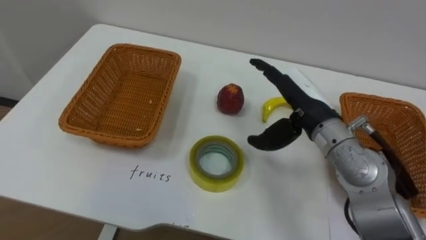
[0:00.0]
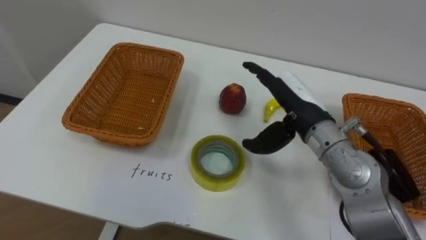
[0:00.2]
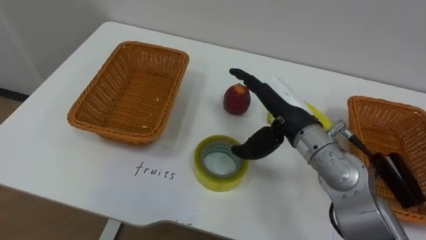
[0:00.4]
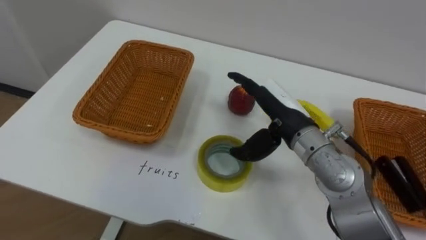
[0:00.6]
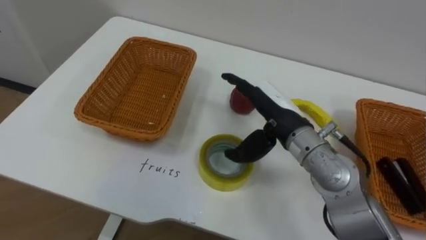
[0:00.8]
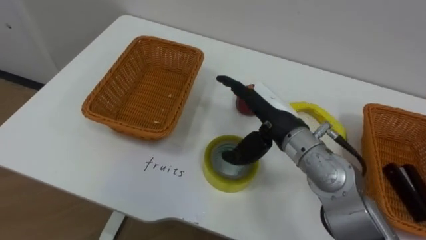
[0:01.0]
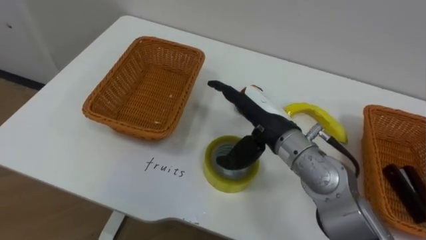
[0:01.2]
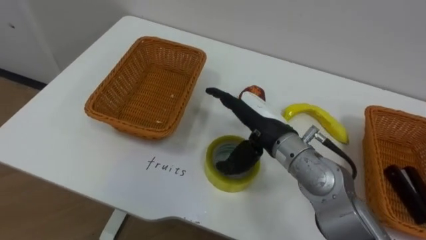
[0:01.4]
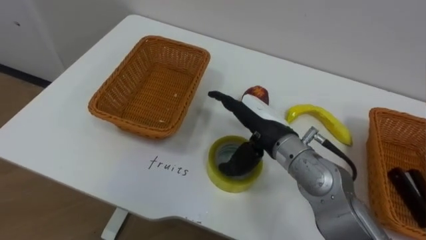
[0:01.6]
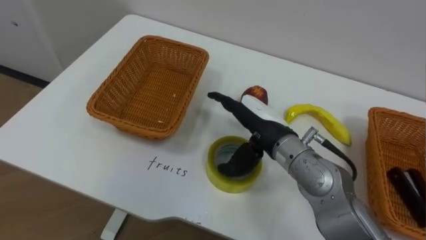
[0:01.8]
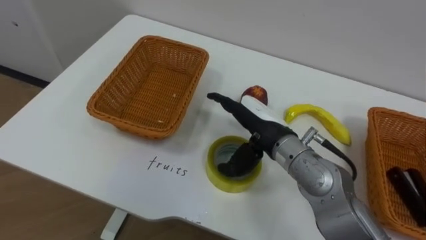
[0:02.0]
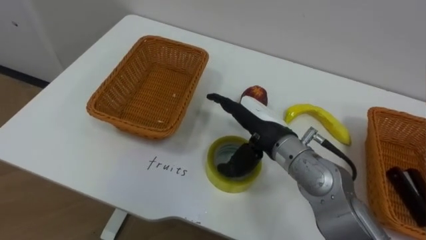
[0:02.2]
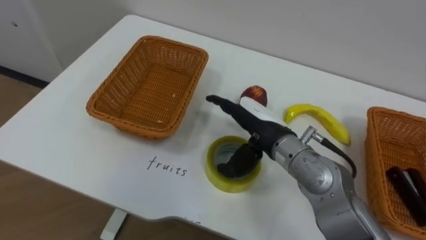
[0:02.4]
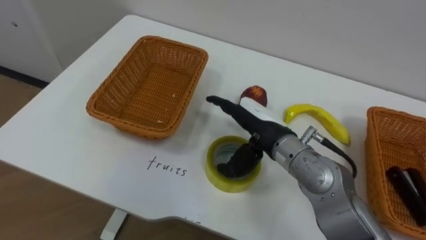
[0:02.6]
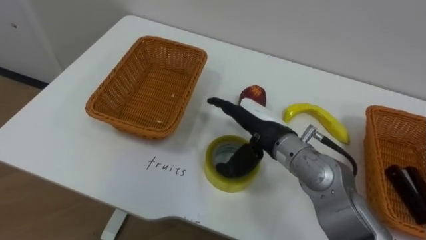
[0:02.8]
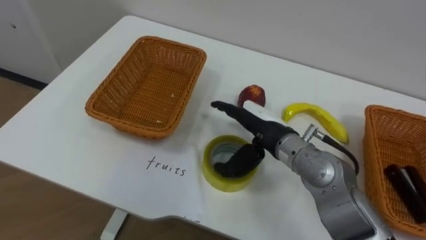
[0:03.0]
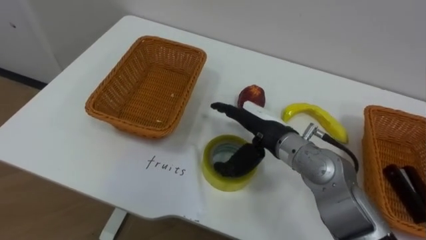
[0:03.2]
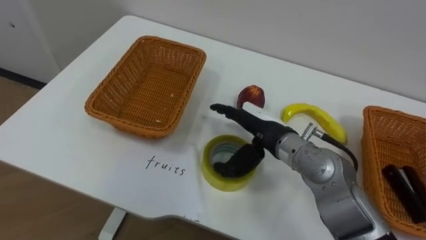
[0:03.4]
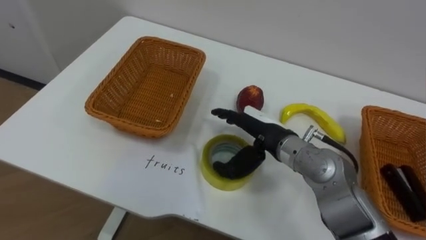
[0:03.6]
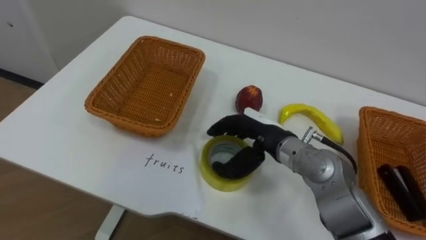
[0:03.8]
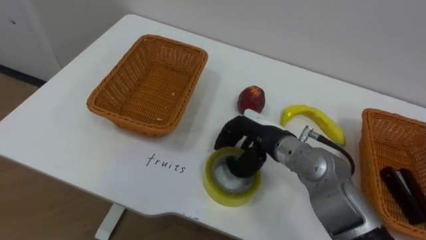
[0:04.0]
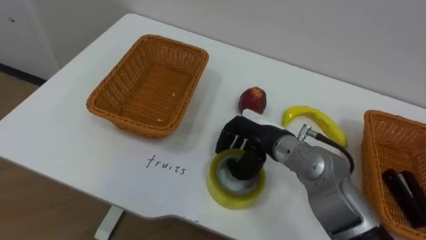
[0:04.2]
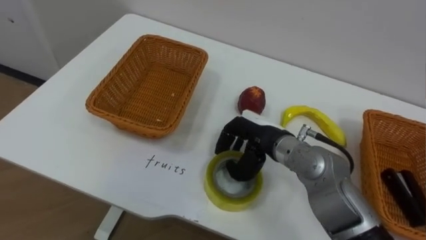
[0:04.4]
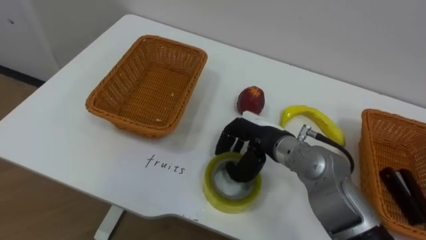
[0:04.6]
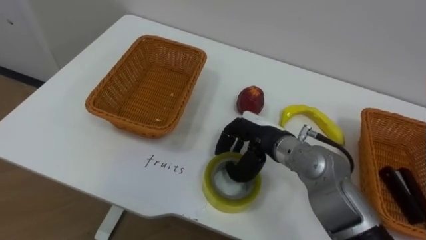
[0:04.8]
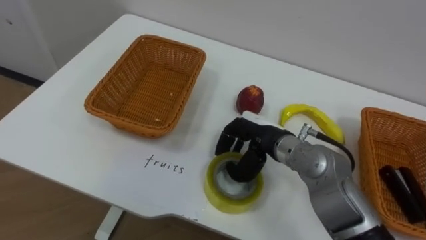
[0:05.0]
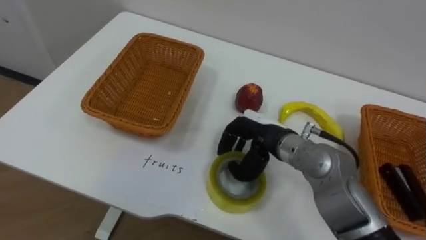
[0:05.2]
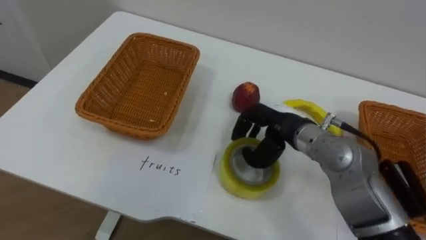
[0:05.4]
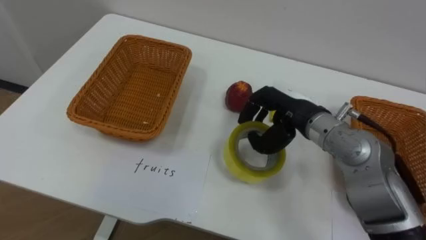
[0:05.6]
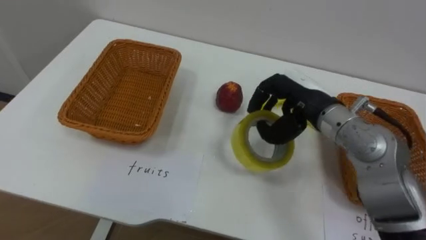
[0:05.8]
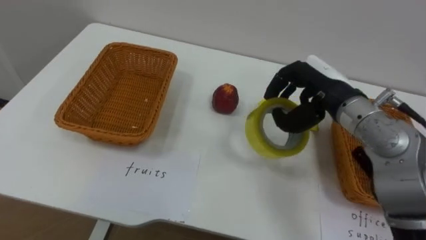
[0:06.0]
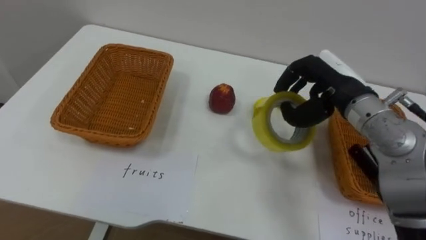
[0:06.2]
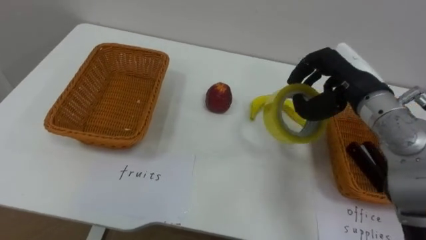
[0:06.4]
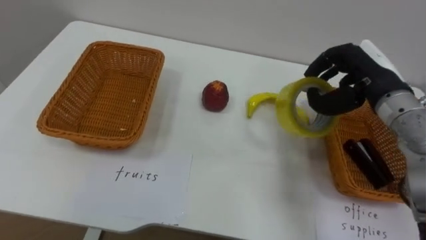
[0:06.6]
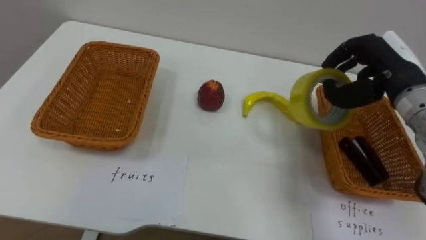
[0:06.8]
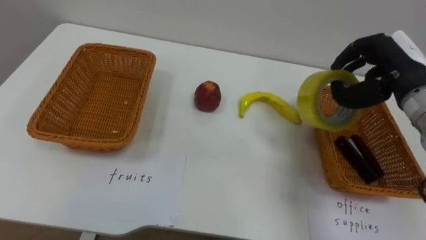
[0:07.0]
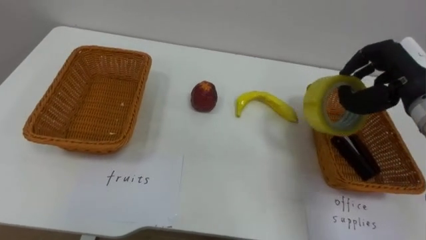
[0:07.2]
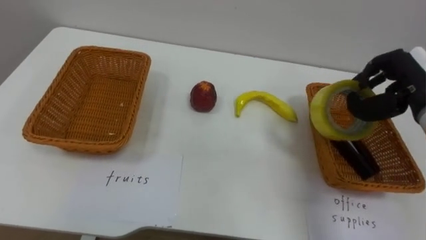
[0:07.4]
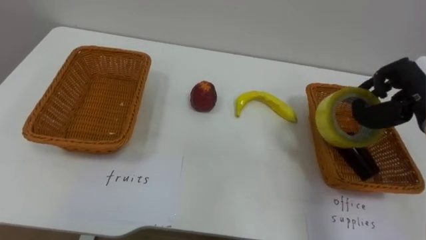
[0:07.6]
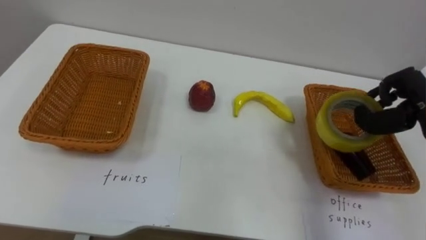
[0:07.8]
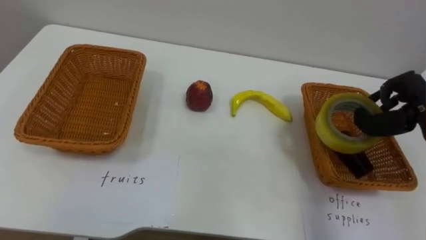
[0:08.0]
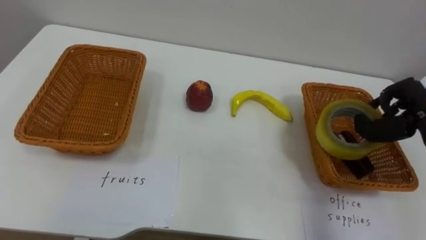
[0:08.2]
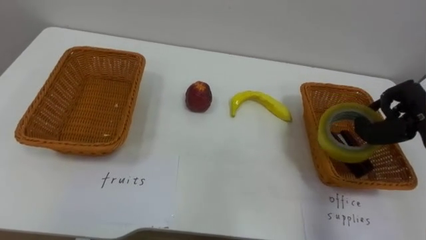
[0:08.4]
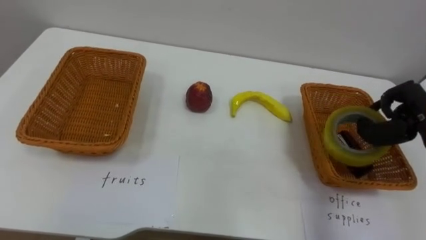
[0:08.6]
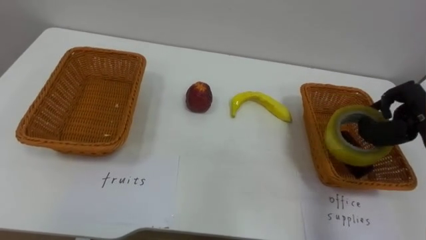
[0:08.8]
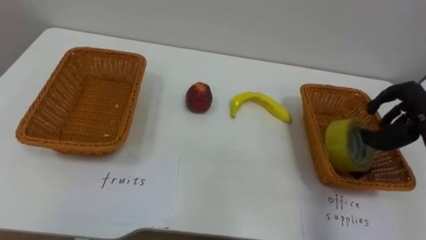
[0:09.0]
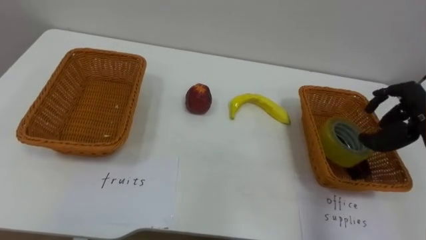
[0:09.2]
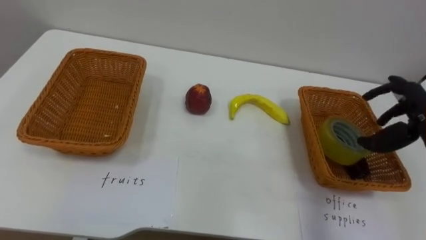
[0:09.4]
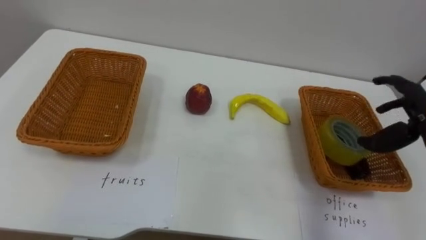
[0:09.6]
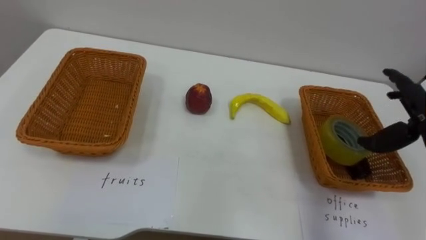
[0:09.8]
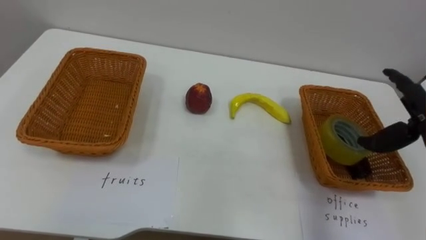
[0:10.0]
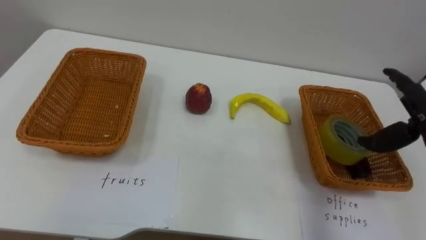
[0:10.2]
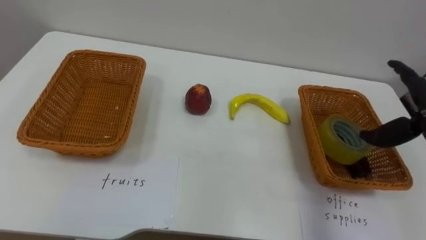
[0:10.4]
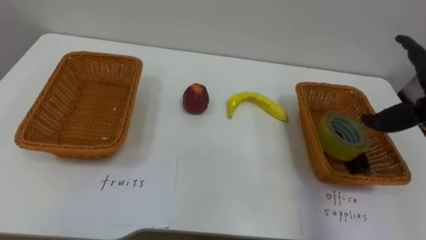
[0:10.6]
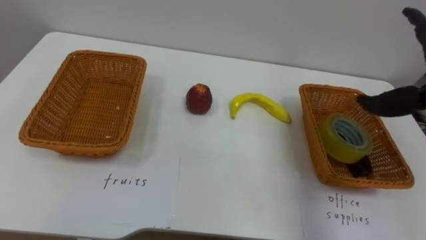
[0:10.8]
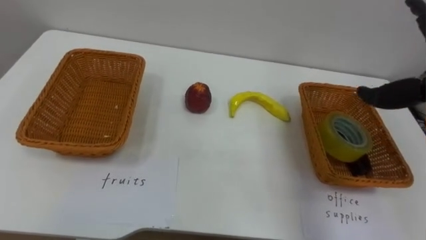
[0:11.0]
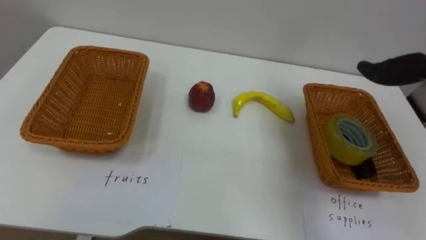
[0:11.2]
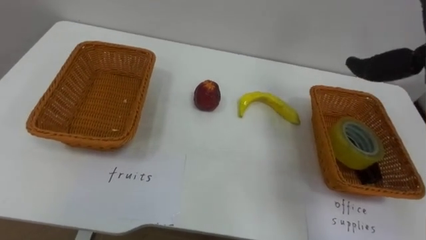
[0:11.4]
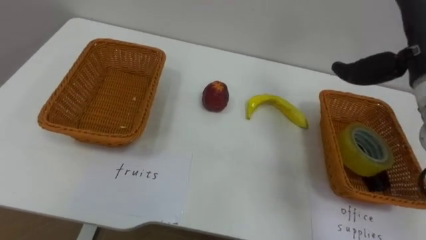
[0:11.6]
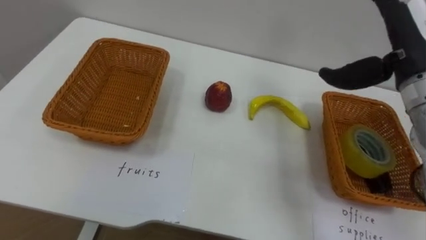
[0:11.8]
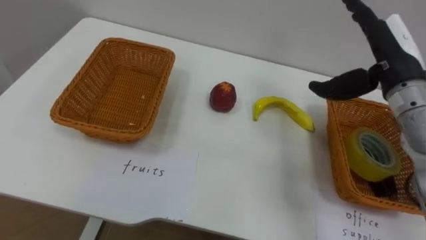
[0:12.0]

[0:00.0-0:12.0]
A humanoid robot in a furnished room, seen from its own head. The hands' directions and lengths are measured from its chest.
Task of the whole recording: Separate the items on the table and place them into the two baskets.
0:00.0 to 0:01.6: The right hand shifts about 5 cm to the left.
0:03.0 to 0:04.4: The right hand closes up.
0:04.4 to 0:06.0: The right hand travels to the right and upward by approximately 15 cm.
0:06.0 to 0:07.6: The right hand goes roughly 15 cm to the right.

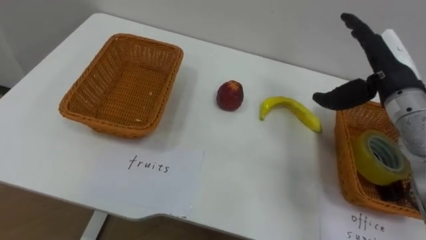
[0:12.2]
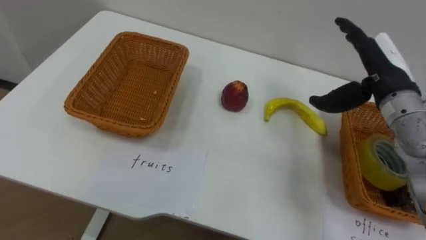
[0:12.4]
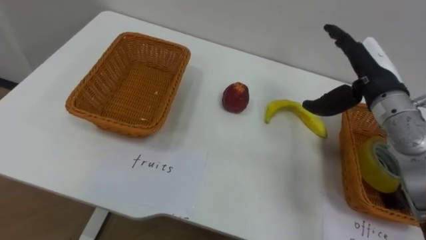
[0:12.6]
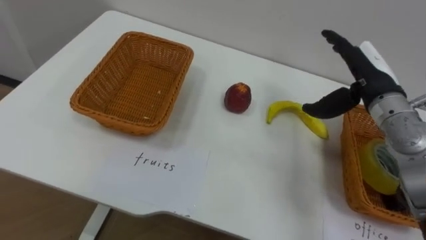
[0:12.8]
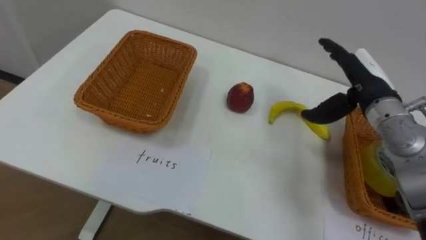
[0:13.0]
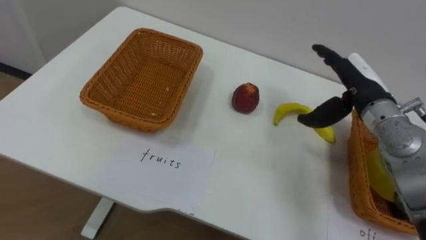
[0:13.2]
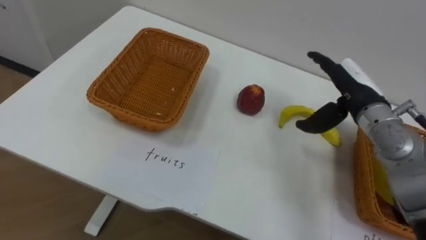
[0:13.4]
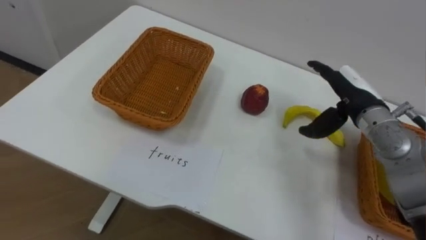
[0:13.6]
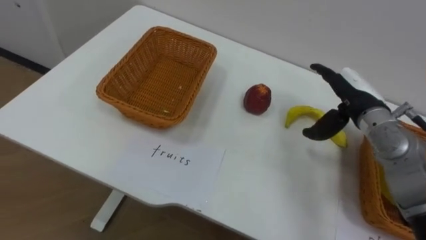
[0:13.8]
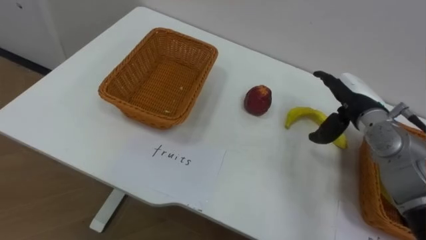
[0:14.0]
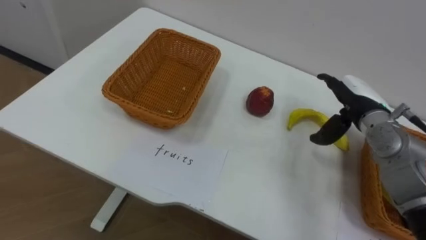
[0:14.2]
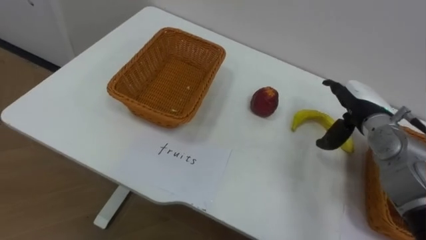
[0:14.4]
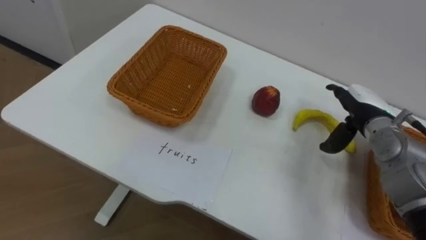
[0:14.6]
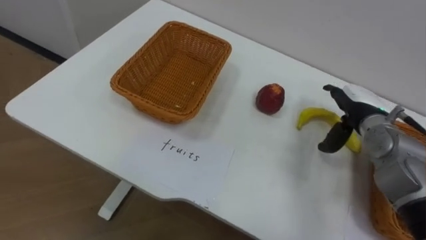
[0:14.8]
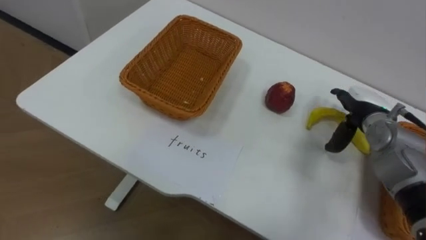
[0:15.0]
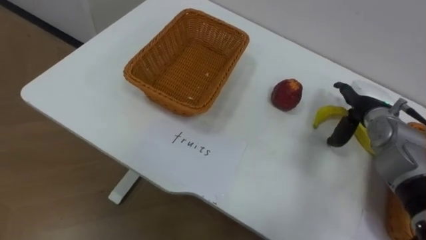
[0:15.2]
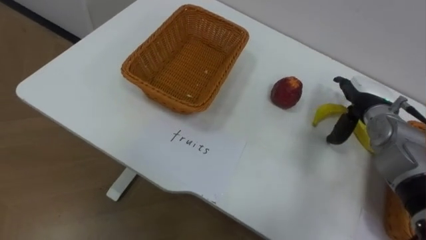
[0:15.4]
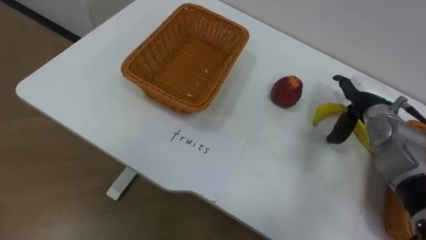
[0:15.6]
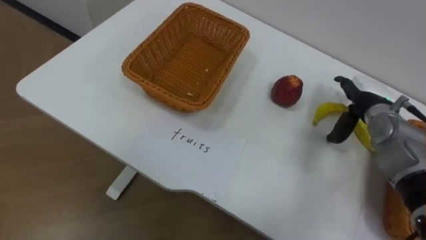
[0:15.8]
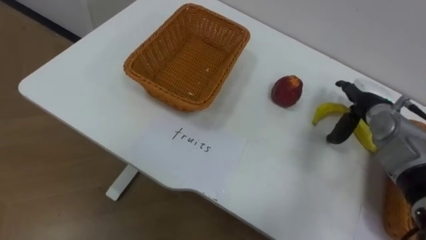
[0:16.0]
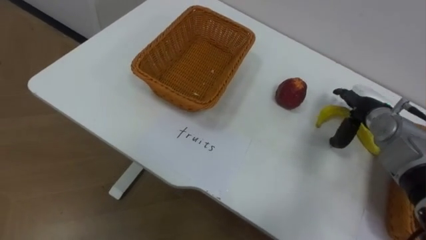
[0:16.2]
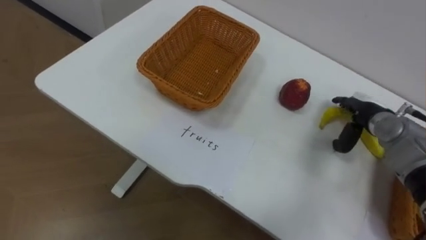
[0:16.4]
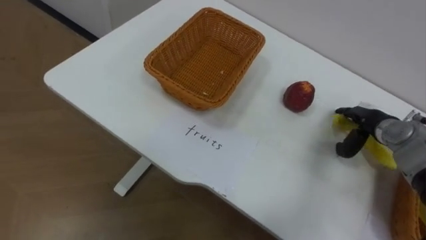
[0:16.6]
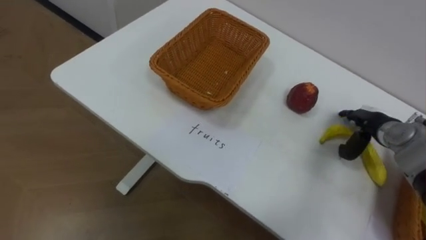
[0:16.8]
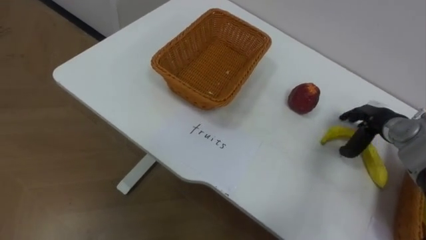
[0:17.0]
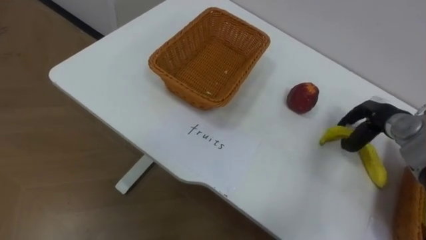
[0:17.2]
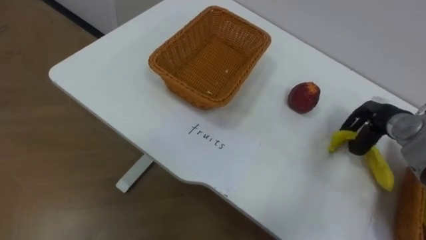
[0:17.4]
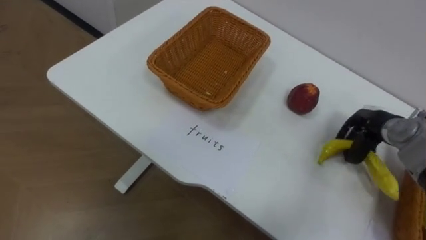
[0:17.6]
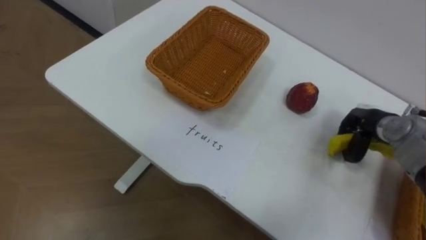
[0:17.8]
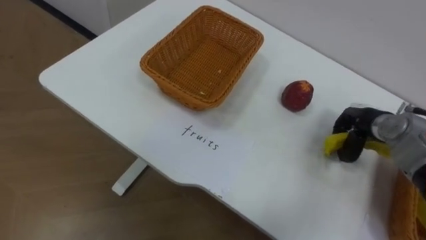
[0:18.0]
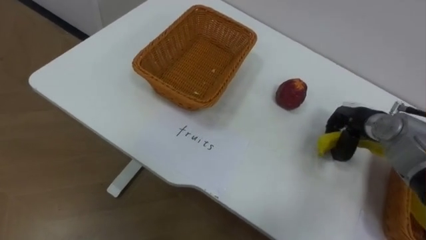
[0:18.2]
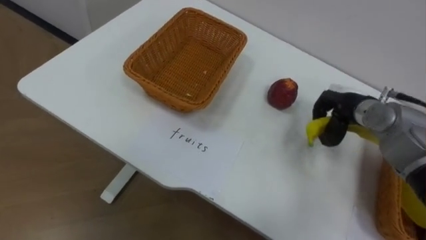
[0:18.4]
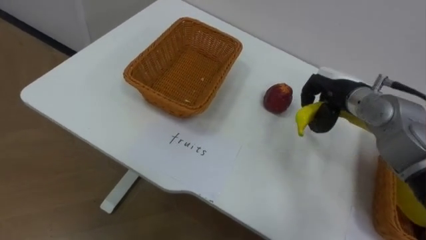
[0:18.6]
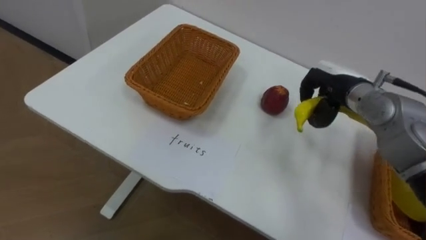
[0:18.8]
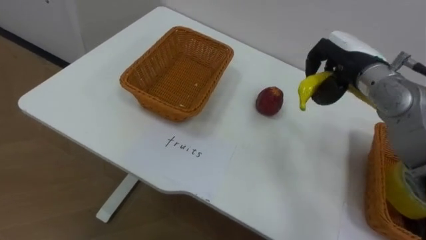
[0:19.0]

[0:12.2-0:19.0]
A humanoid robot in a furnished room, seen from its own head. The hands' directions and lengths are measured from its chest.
Task of the whole recording: Separate the items on the table and place them into the two baskets.
0:12.2 to 0:13.6: The right hand heads downward, covering about 5 cm.
0:13.6 to 0:15.0: The right hand goes some 5 cm downward.
0:16.2 to 0:17.6: The right hand closes.
0:17.6 to 0:19.0: The right hand heads upward and to the left, covering some 15 cm.
